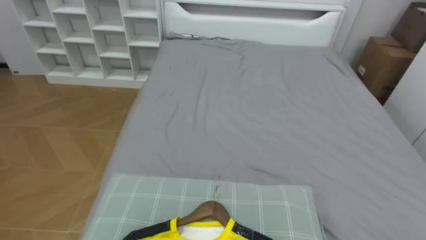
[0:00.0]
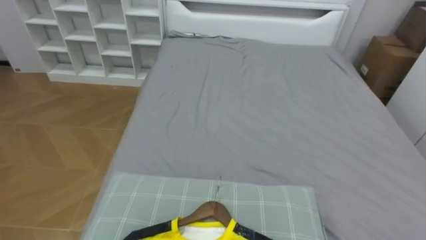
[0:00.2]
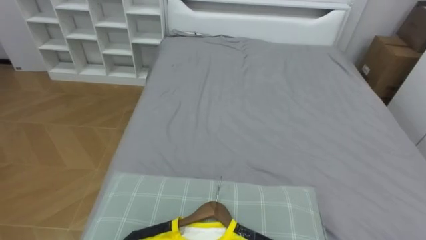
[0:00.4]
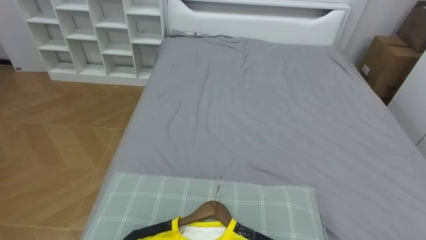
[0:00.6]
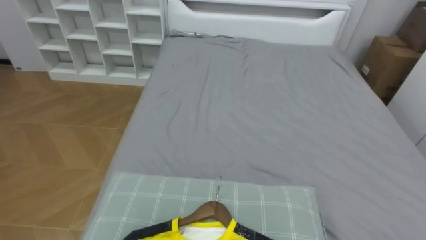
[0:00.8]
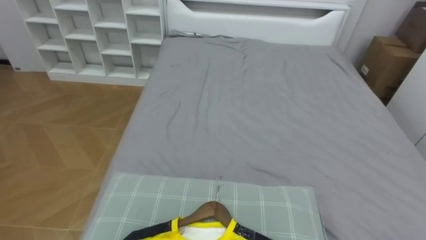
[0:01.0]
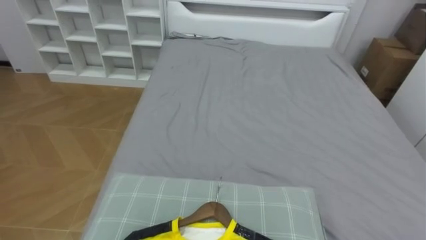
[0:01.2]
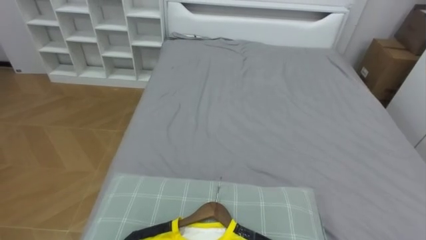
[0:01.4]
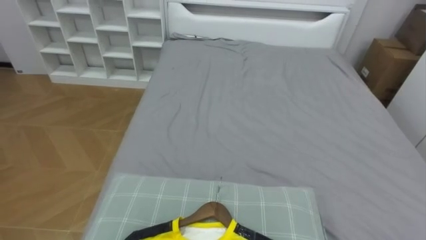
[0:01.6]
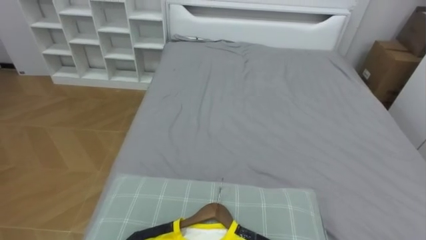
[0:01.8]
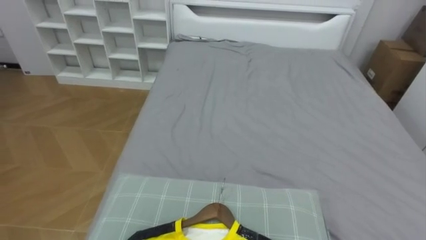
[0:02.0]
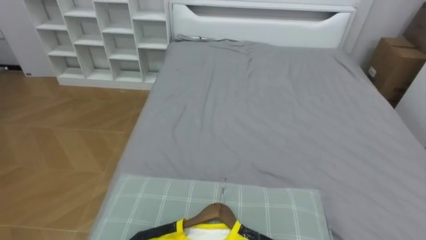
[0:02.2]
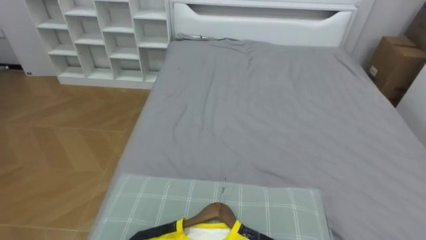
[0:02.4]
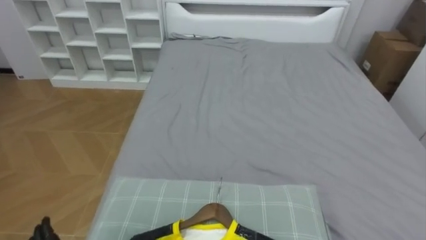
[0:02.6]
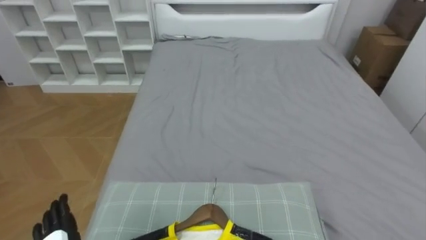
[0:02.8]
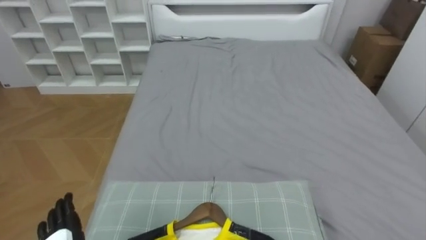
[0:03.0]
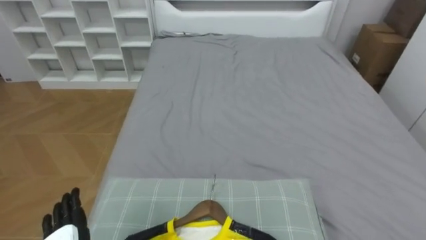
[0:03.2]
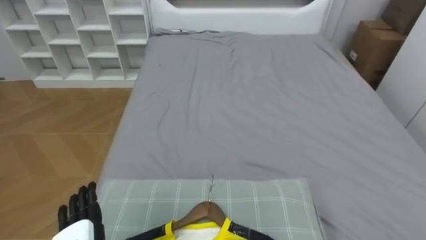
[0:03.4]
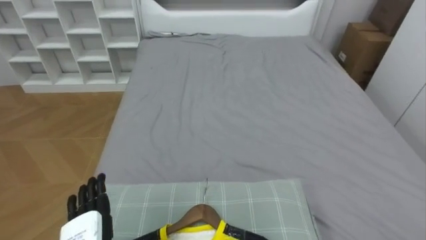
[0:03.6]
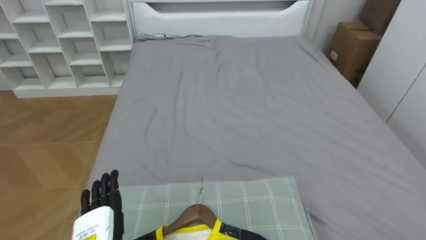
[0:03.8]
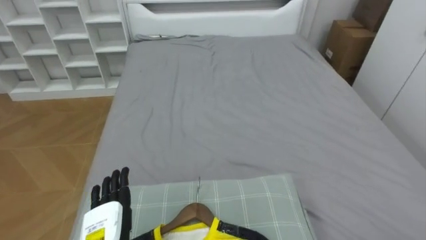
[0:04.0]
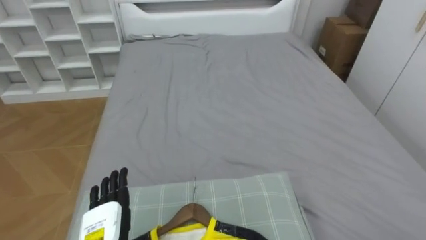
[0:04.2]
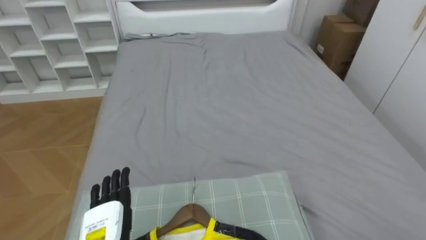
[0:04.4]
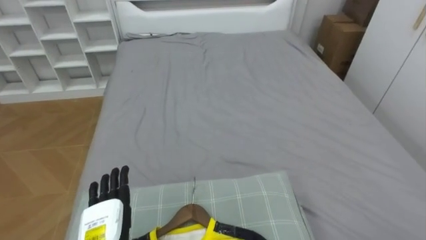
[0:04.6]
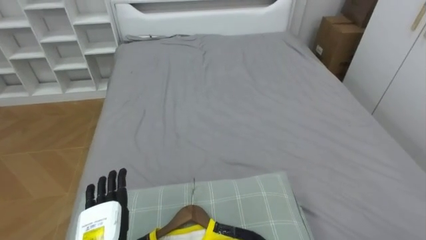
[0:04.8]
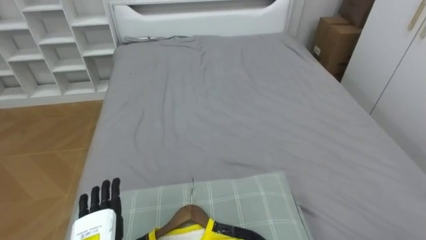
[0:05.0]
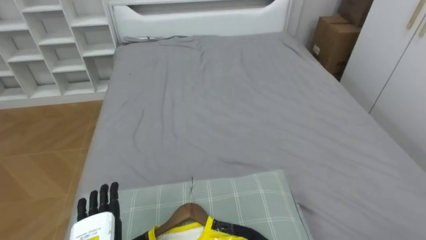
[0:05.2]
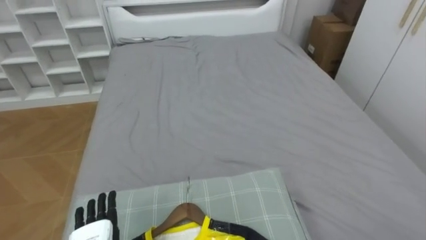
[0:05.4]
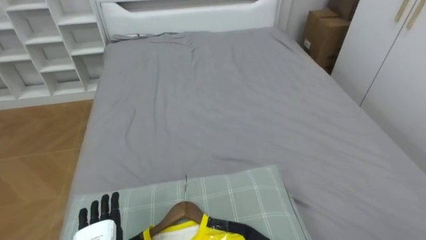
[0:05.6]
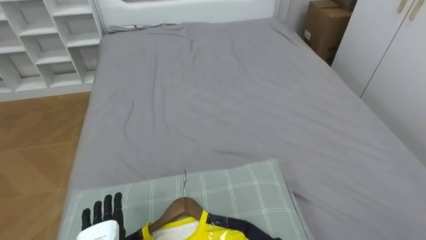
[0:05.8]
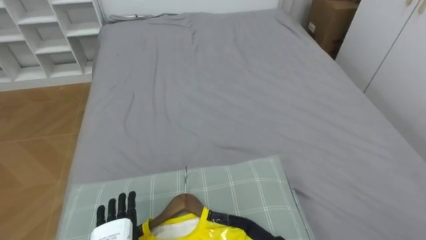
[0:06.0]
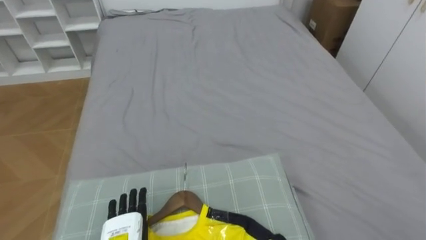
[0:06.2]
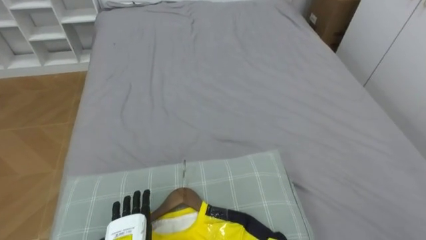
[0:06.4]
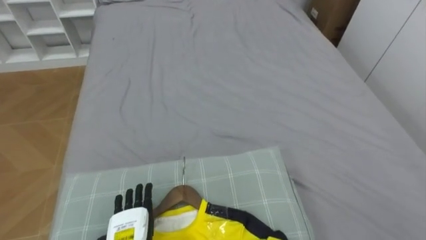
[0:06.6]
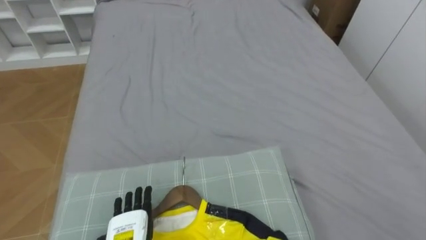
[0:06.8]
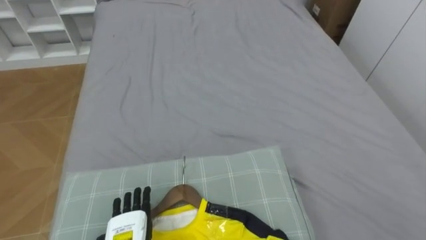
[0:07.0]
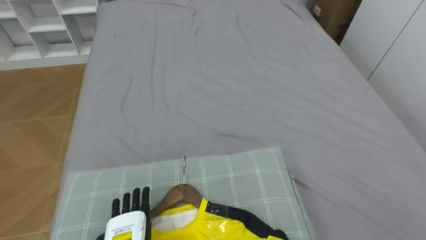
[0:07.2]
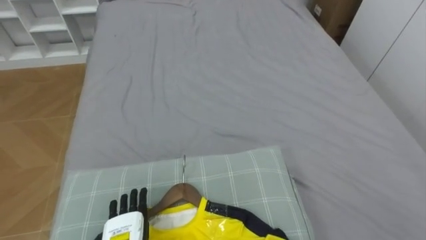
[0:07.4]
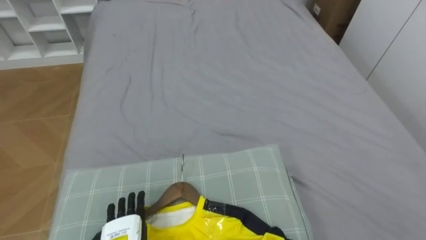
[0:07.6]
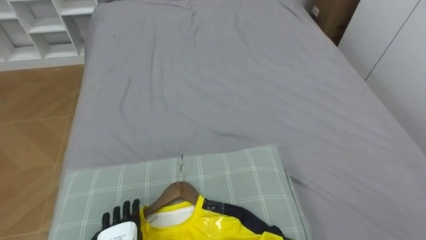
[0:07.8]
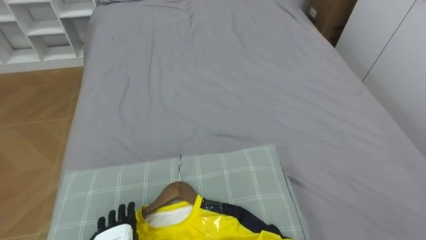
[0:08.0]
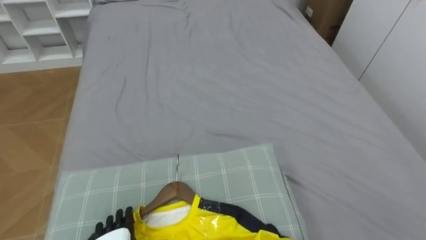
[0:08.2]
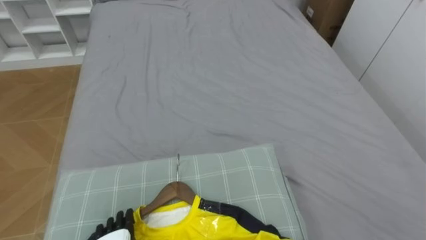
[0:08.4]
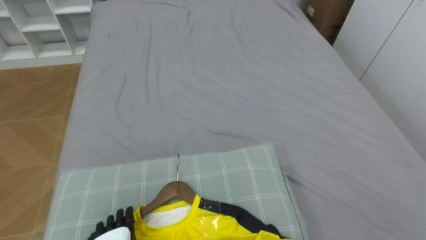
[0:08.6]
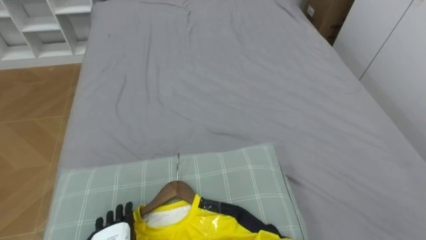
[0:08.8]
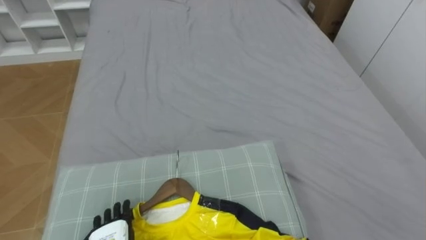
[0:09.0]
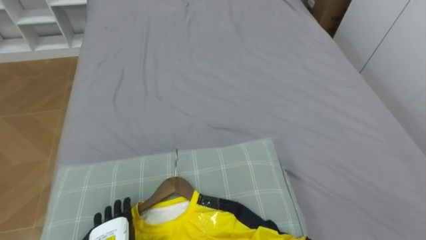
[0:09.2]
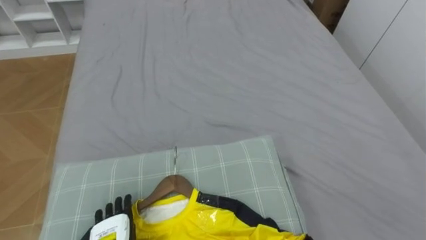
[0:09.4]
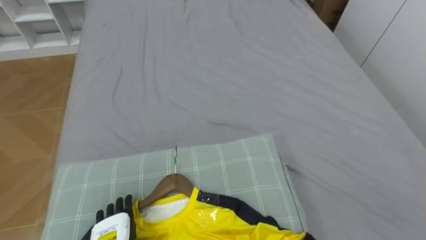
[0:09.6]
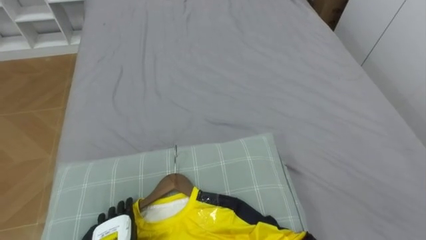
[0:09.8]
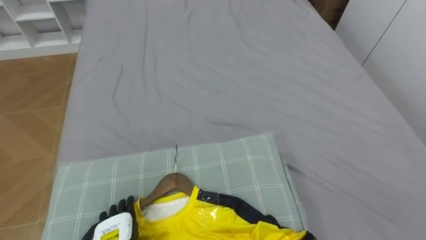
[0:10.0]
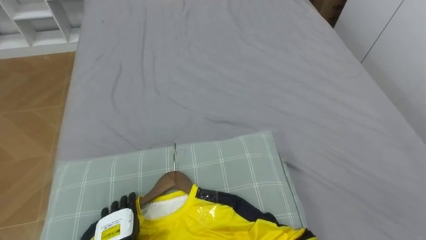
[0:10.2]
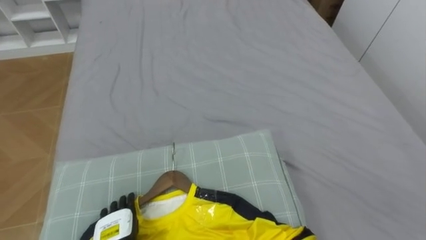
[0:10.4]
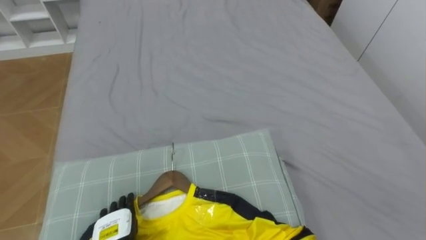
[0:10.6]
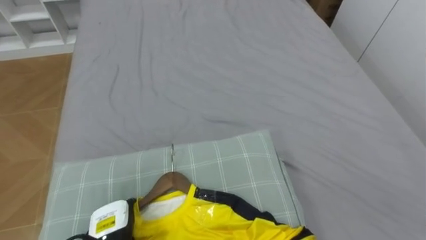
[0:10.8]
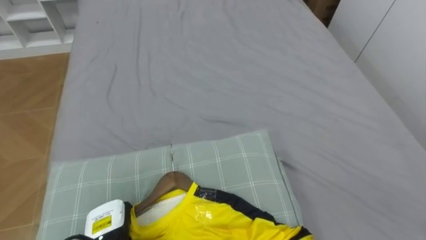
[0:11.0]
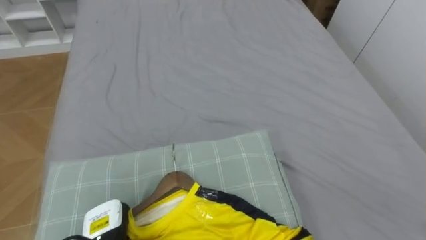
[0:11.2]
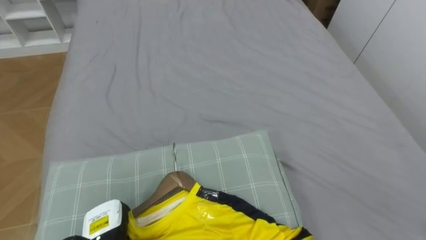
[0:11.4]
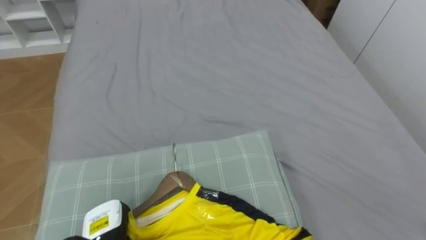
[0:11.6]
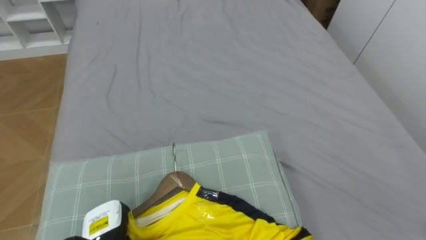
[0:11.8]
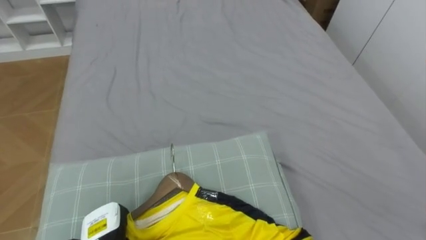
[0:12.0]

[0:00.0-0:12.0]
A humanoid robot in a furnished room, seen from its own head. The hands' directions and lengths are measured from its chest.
Task of the whole recording: Pick up the yellow shirt on the bed and hang it on the clothes rack on the right.
0:10.4 to 0:12.0: The left hand closes.

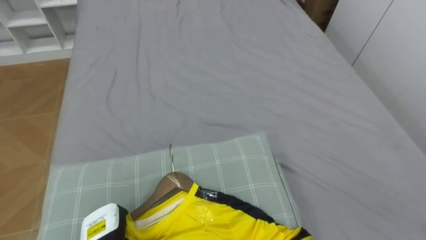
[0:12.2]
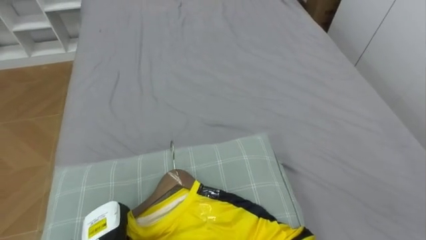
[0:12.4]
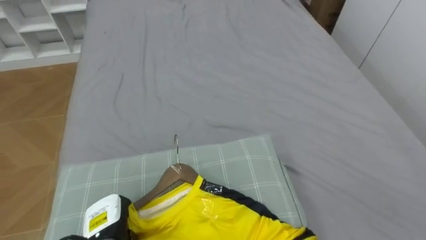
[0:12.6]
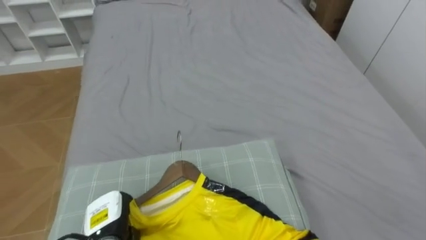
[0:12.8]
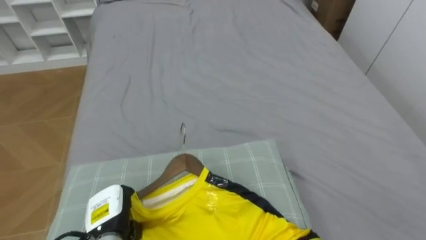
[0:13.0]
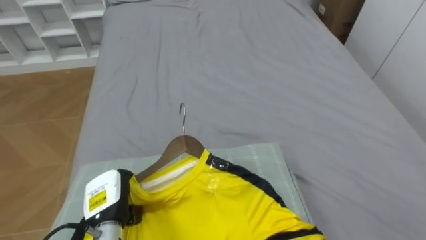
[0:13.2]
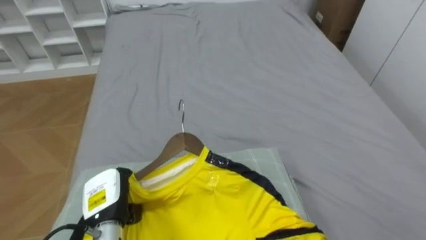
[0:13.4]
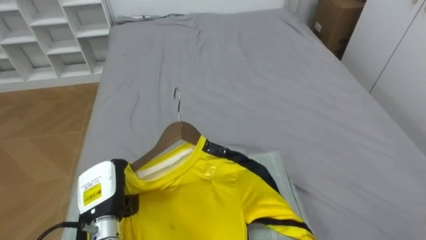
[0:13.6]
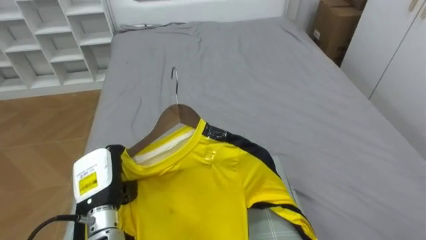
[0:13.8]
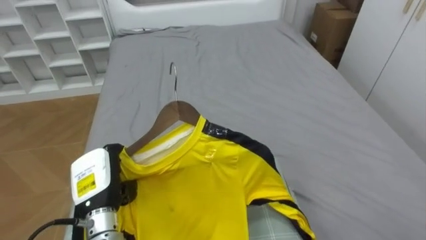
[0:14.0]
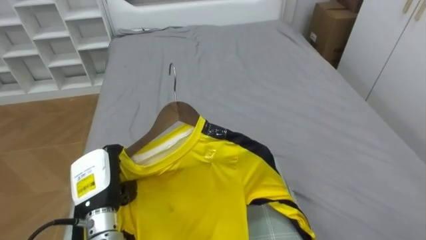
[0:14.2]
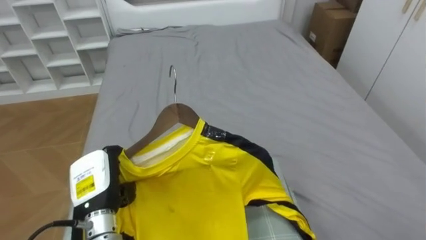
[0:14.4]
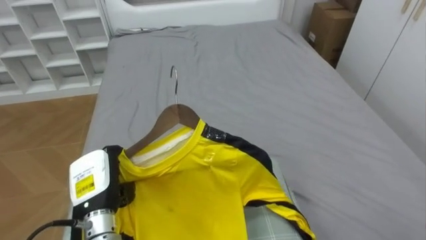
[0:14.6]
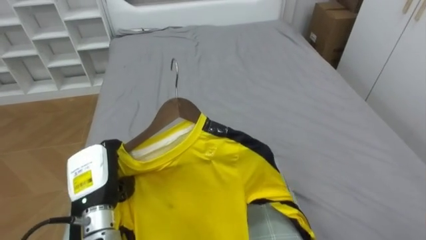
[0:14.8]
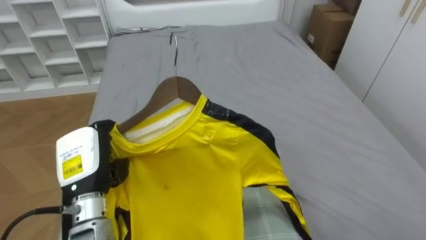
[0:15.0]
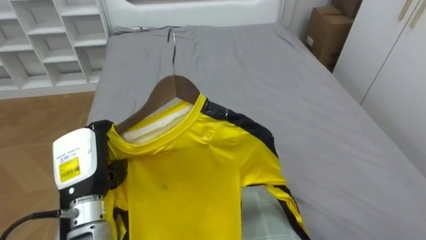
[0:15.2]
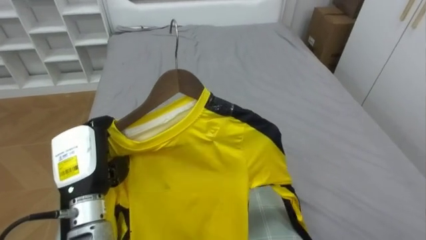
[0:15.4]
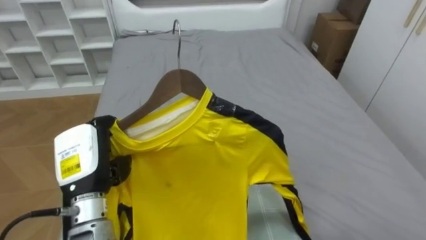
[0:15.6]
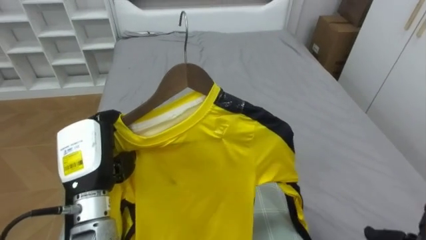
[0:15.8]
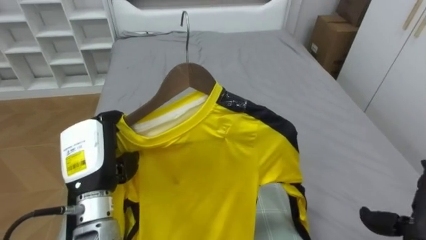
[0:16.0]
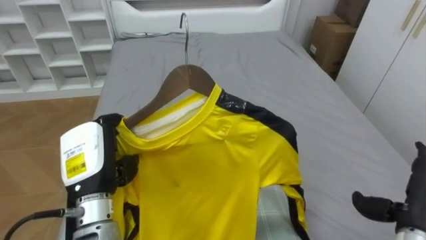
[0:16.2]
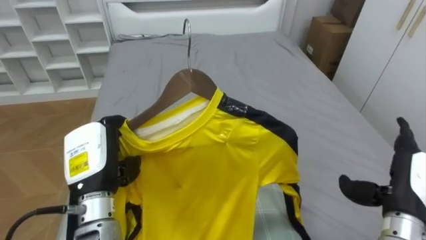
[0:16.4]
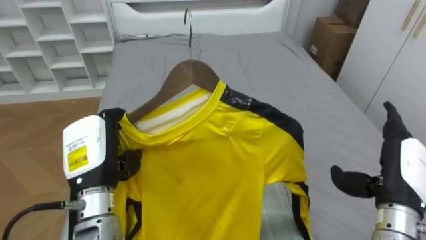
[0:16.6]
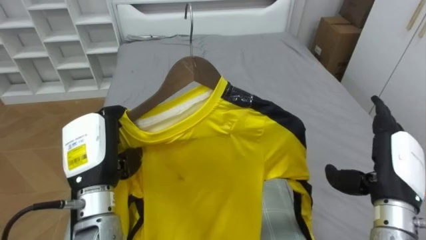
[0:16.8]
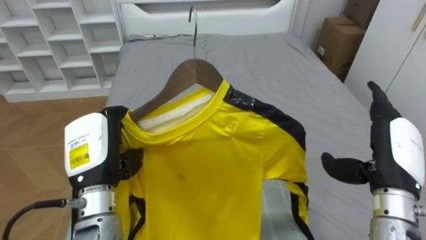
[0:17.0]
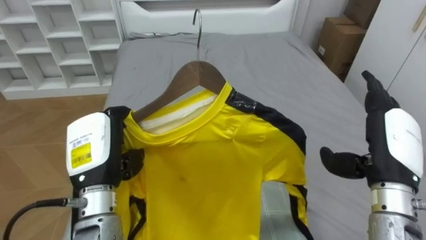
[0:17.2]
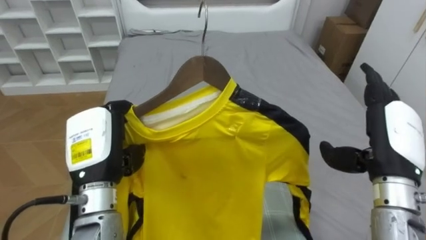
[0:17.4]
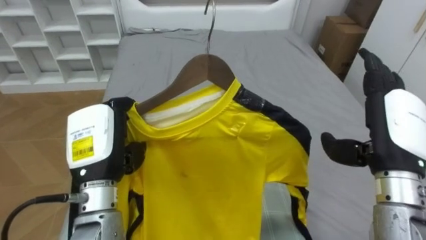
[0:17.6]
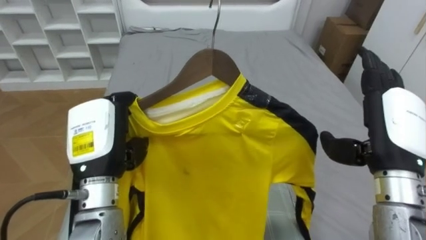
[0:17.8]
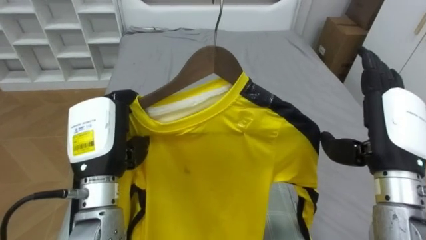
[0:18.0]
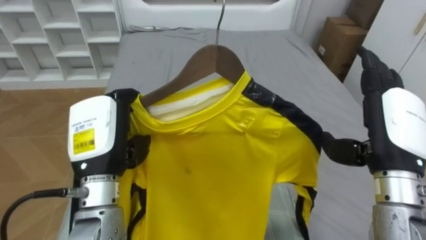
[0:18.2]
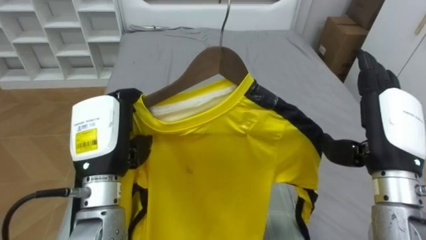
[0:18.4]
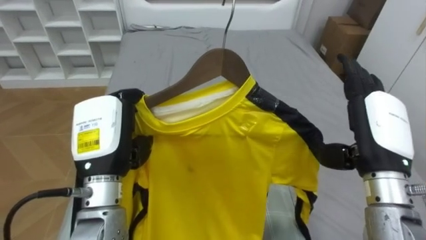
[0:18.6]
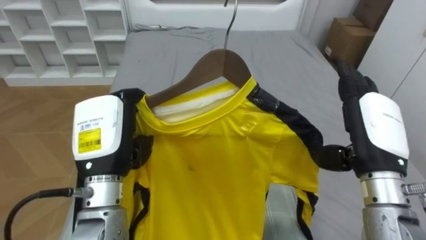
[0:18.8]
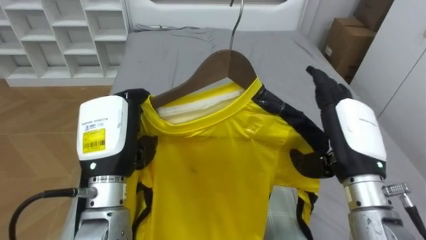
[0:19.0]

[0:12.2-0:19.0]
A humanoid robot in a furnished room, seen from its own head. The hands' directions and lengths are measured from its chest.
Task of the whole recording: Pick up the yellow shirt on the bed and hang it on the clothes rack on the right.
0:12.2 to 0:13.6: The left hand is displaced upward by some 10 cm.
0:13.6 to 0:15.0: The left hand heads upward, covering some 10 cm.
0:16.2 to 0:17.6: The right hand heads upward and to the left, covering roughly 15 cm.
